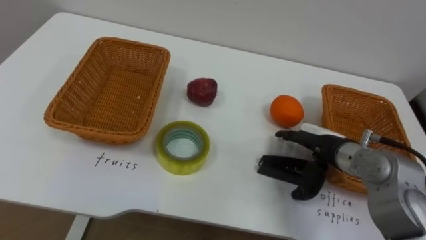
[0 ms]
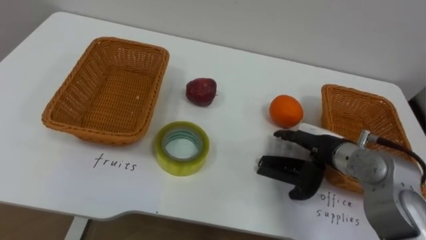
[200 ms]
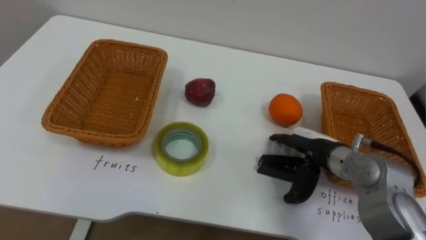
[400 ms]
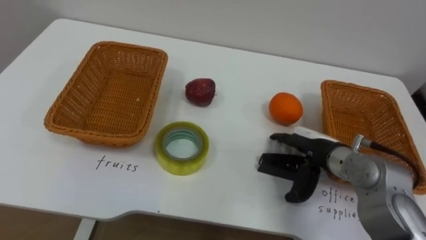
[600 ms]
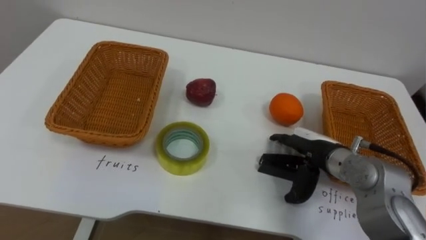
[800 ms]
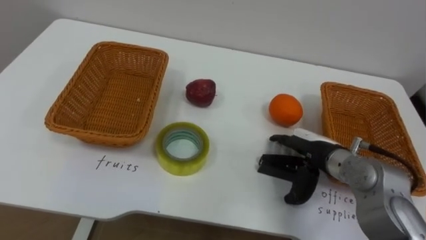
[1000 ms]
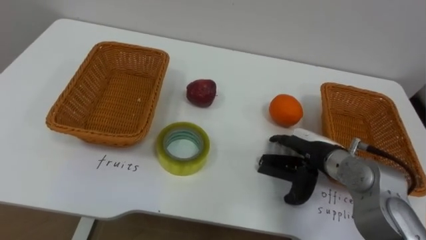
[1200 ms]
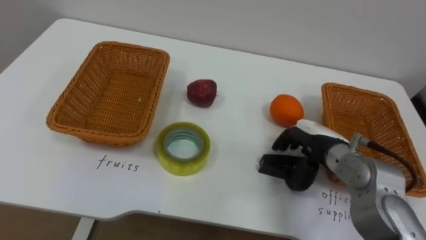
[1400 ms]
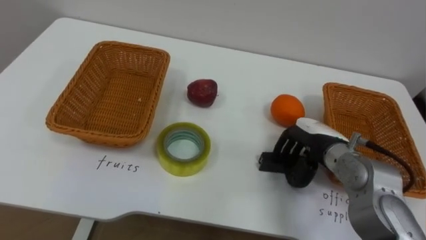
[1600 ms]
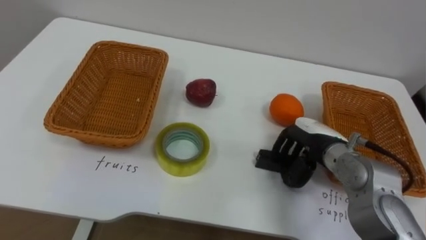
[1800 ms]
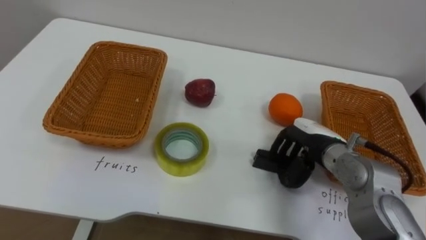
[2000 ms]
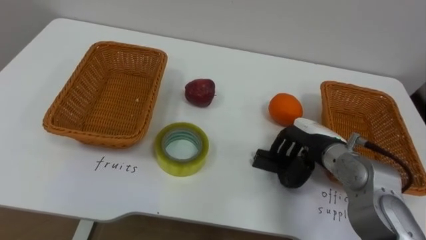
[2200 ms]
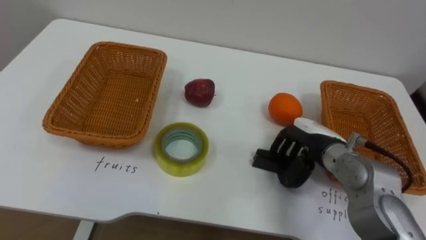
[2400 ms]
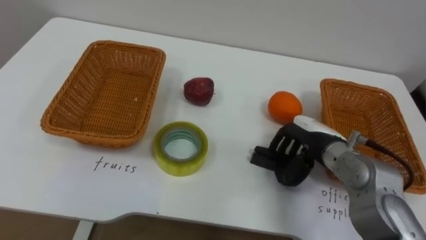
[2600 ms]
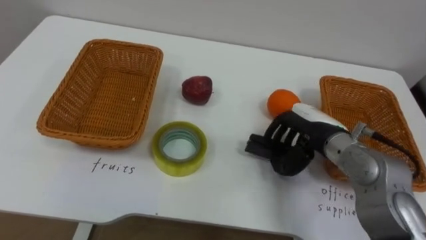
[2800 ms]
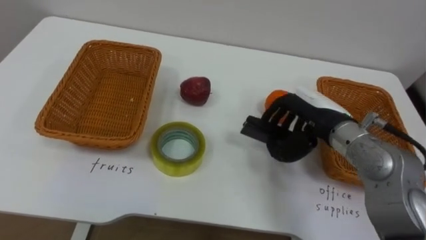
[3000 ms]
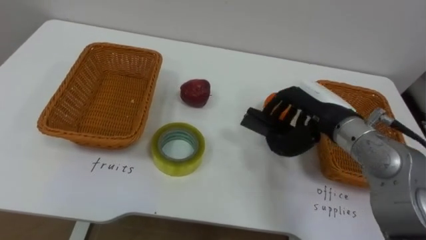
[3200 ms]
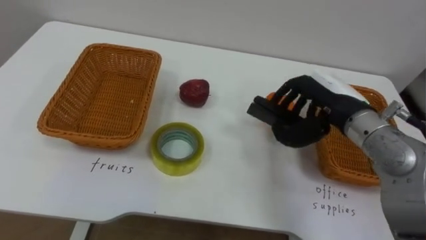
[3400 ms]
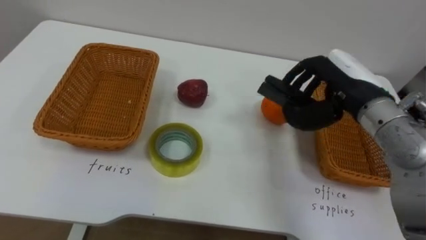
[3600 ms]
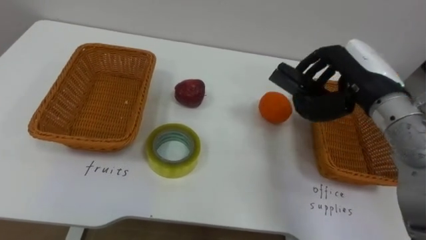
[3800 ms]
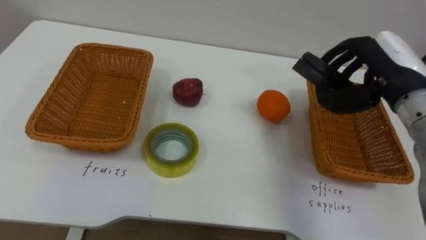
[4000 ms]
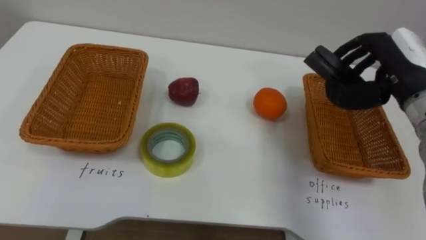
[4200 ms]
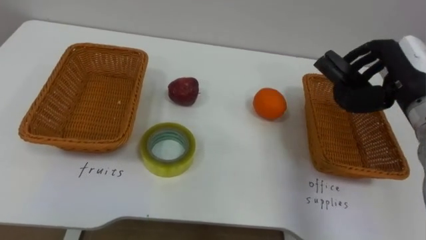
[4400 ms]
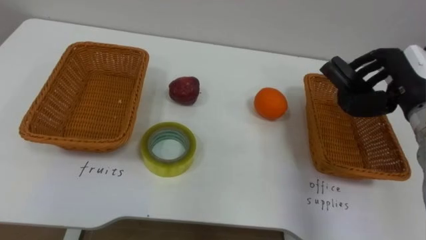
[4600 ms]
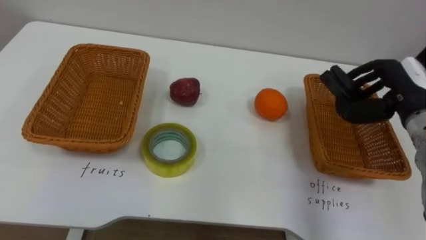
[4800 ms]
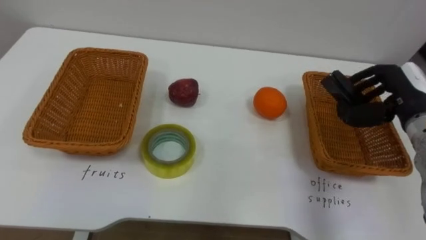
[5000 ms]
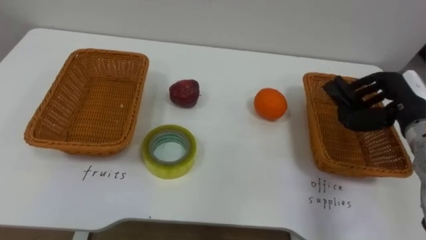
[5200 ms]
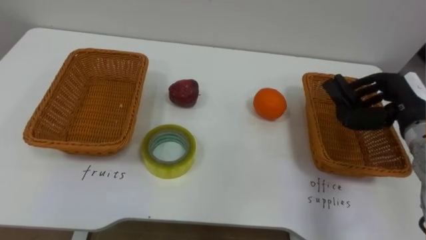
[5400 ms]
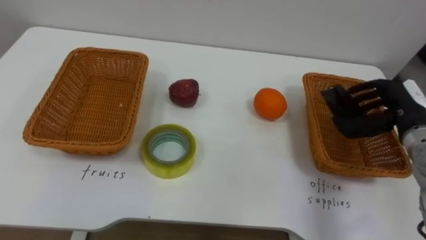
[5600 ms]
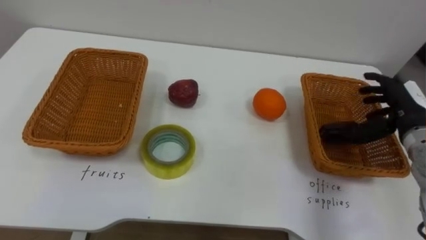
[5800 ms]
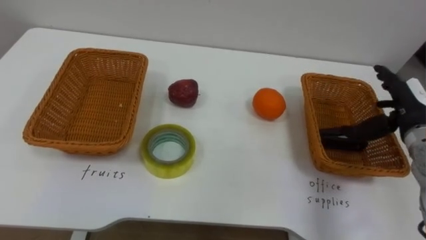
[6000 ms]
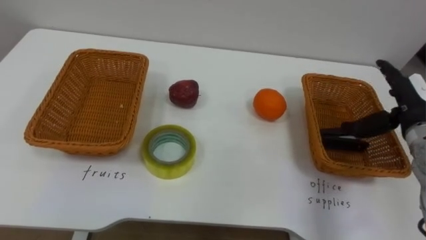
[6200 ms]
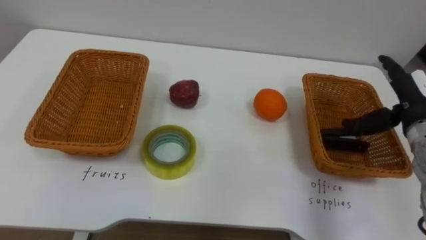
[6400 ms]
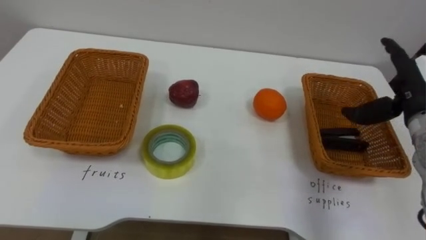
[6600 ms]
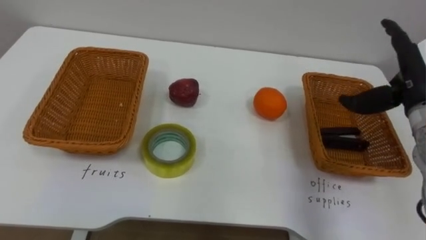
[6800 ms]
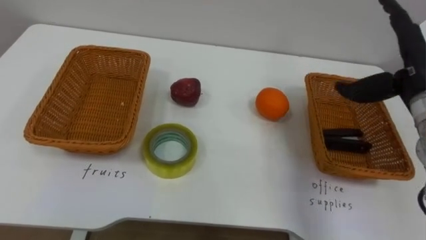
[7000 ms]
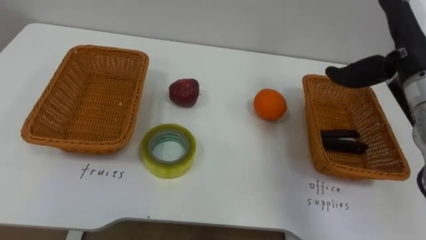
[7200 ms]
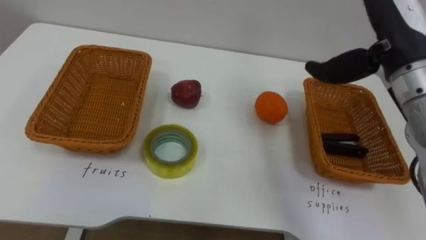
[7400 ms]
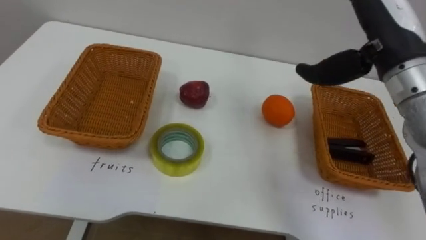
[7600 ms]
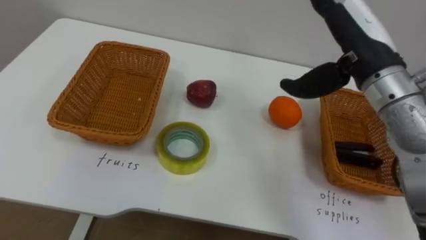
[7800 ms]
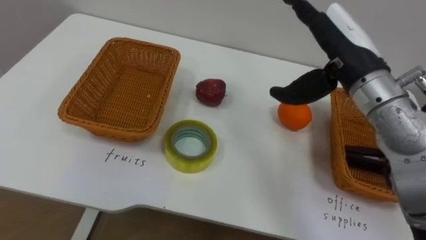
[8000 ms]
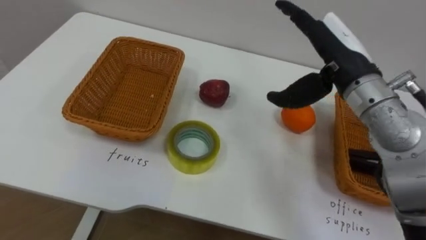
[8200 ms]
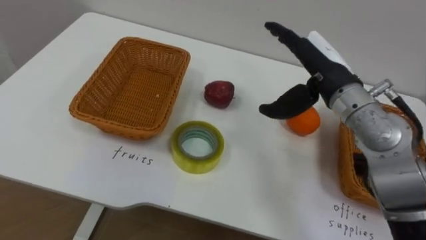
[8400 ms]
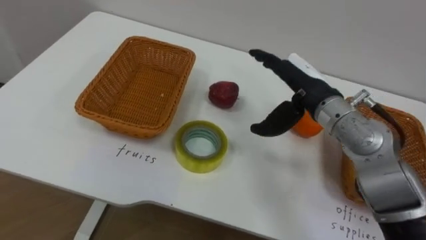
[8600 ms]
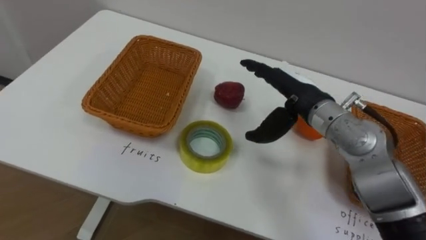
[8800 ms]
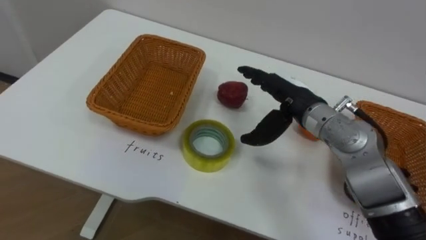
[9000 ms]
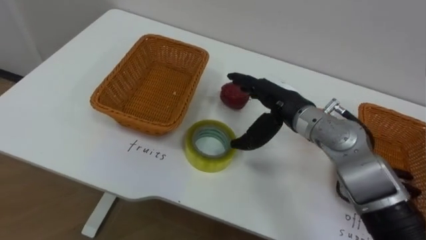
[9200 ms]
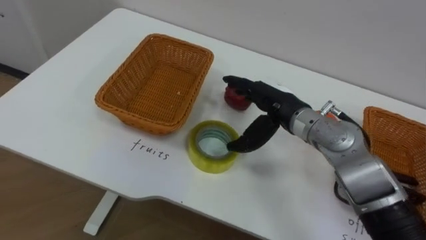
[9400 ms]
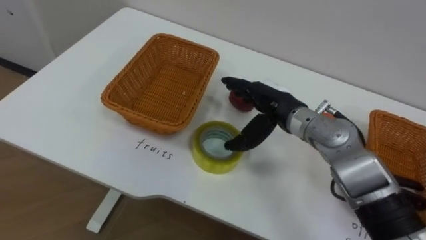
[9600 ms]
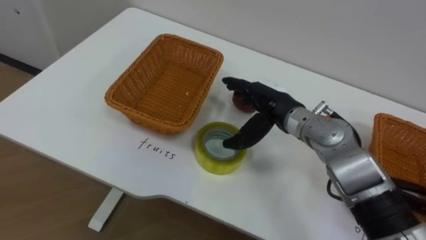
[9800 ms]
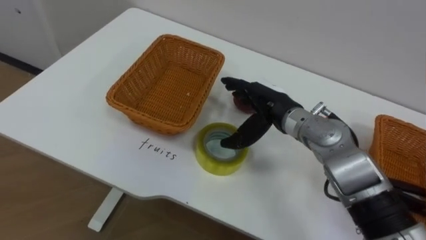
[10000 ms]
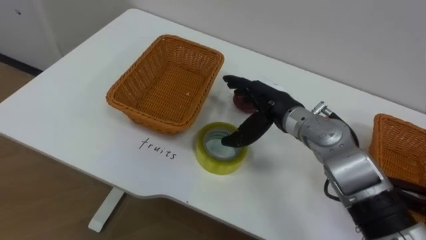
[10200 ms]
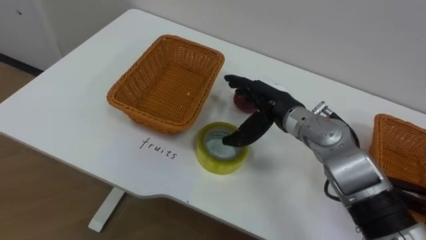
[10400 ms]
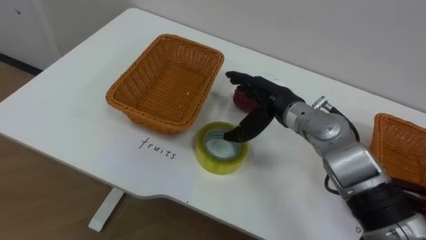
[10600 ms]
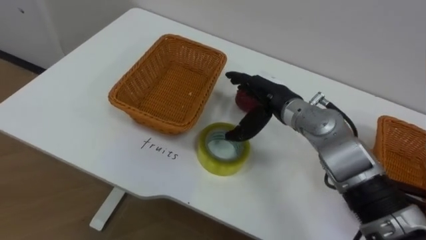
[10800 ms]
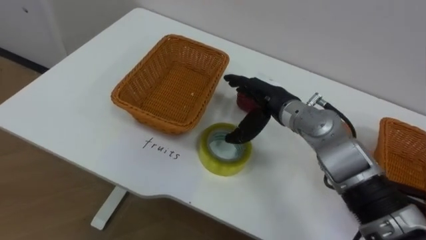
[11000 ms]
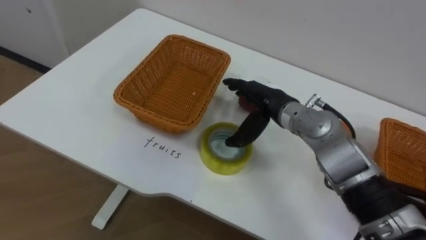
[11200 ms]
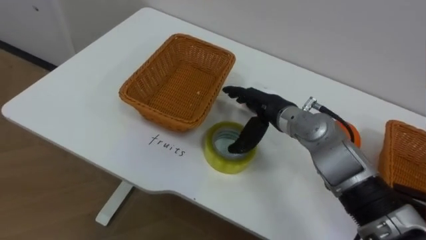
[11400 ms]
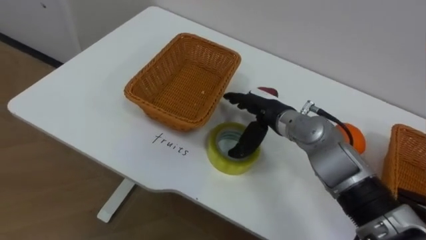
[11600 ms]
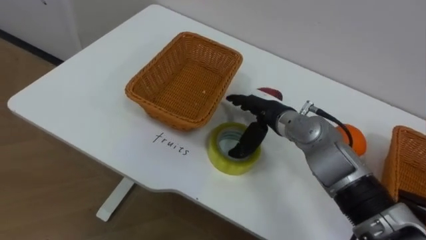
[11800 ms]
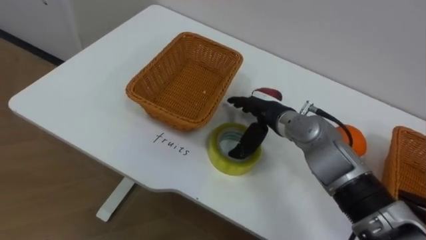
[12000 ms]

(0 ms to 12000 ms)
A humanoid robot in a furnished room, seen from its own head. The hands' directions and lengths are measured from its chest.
Task of the whole recording: Separate the items on the table and place them into the two baskets.
0 ms - 1600 ms: The right hand closes its fingers.
1600 ms - 3000 ms: The right hand heads upward, covering some 5 cm.
3000 ms - 4400 ms: The right hand is displaced to the right and upward by some 15 cm.
4400 ms - 6000 ms: The right hand shifts approximately 10 cm downward, and opens up.
6000 ms - 7600 ms: The right hand travels upward and to the left by approximately 20 cm.
7600 ms - 9000 ms: The right hand shifts roughly 15 cm downward and to the left.

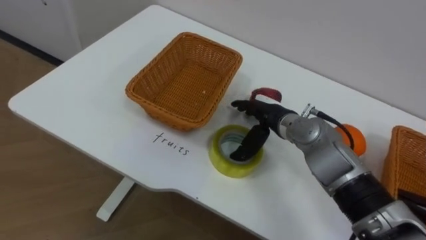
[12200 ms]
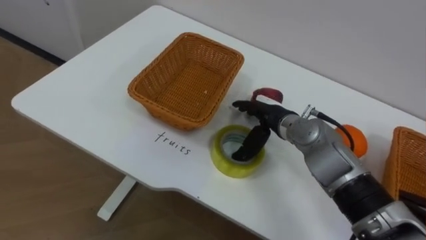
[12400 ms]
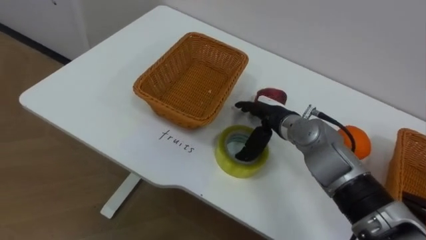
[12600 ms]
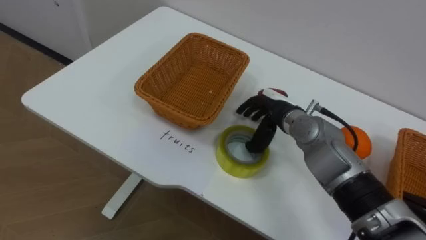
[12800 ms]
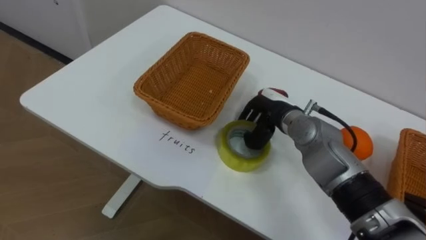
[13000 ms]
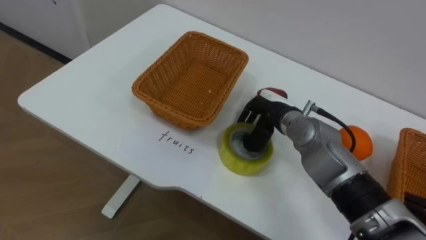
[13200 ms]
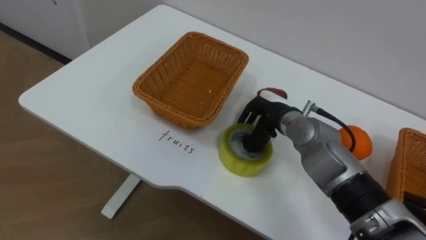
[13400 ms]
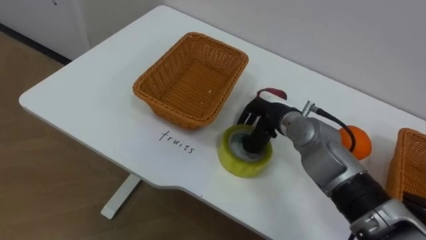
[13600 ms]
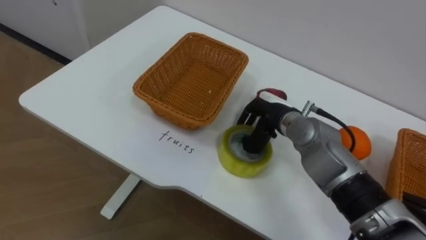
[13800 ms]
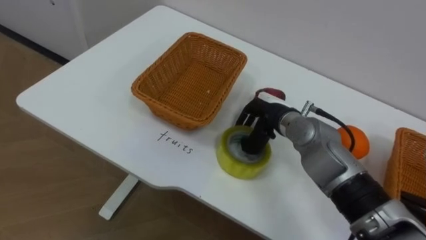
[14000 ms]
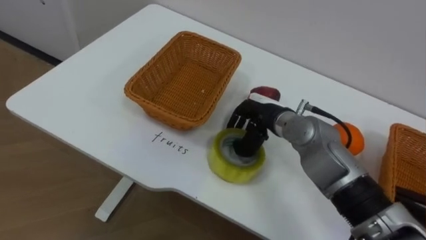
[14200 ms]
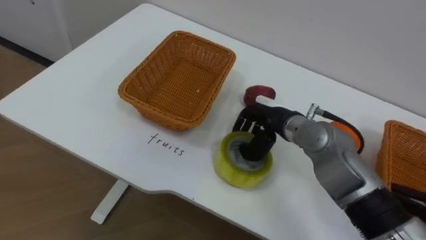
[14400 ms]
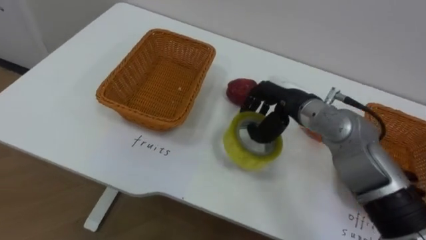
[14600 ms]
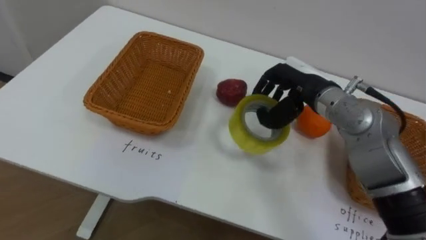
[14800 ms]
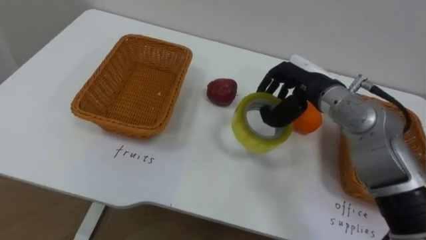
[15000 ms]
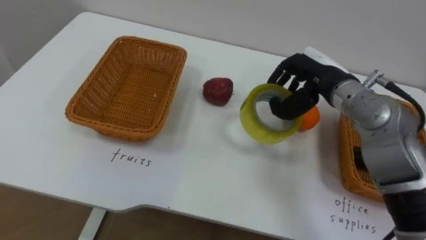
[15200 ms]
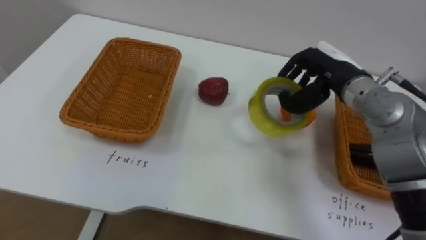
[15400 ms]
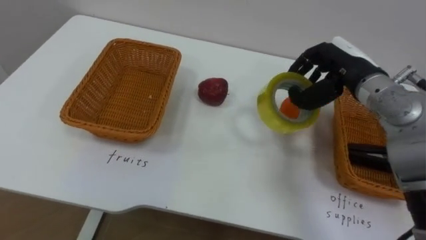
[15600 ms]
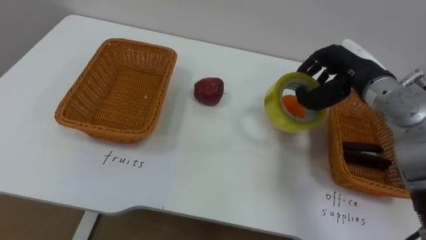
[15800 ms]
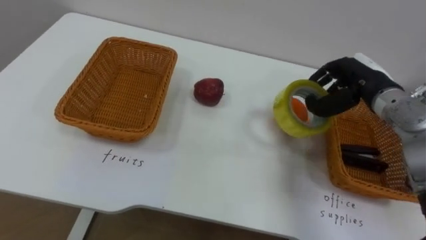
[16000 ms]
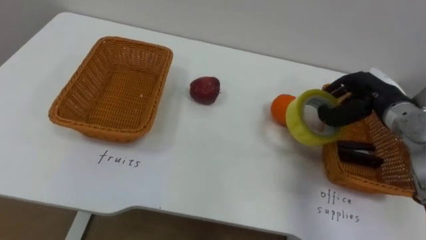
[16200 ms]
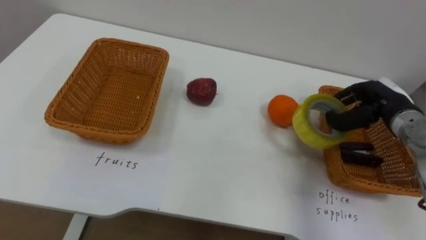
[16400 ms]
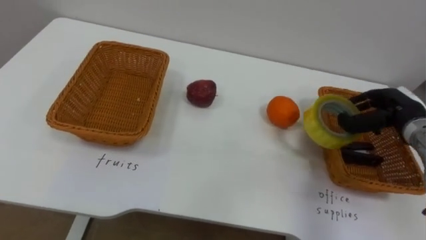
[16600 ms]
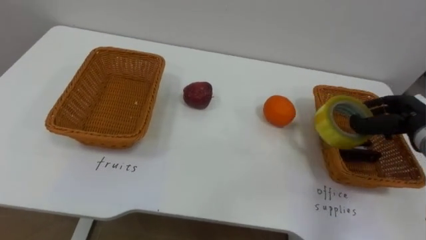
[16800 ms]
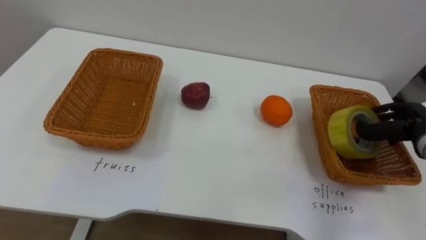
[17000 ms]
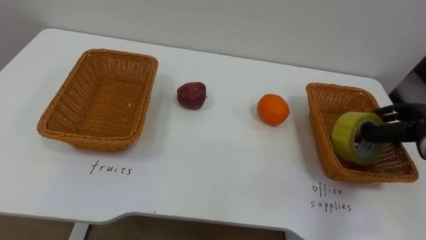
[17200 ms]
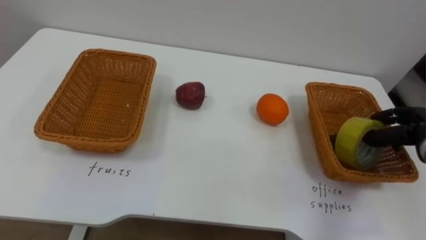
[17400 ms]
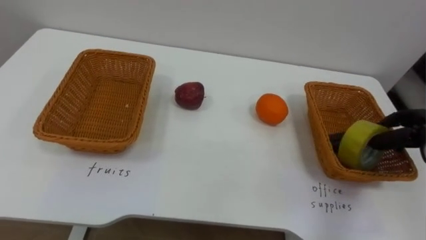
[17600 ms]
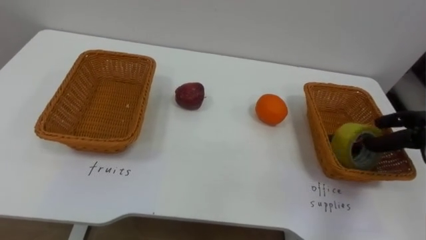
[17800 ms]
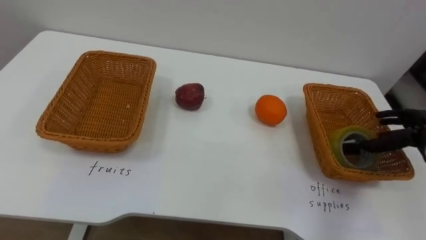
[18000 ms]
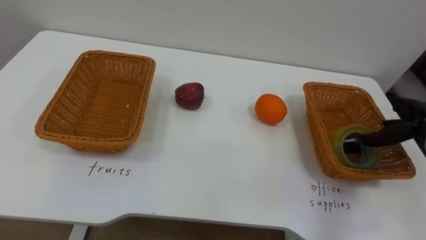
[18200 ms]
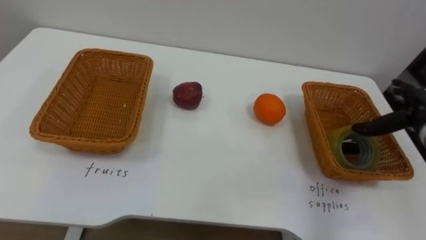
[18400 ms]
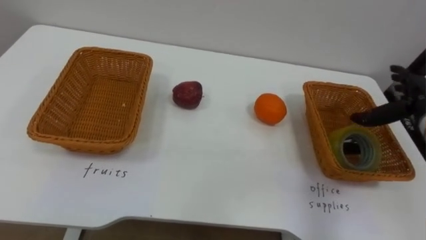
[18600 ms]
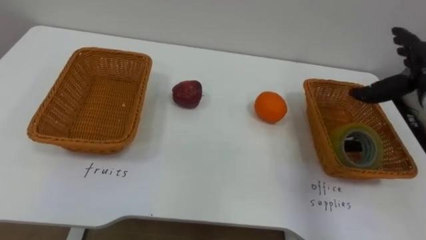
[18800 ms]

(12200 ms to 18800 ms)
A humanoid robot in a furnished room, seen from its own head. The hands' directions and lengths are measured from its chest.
Task of the whole recording: Separate the items on the table and place them into the two baskets.
12200 ms - 13800 ms: The right hand closes its fingers.
13800 ms - 15400 ms: The right hand goes roughly 15 cm upward and to the right.
15400 ms - 17200 ms: The right hand is displaced to the right and downward by about 20 cm.
17200 ms - 18800 ms: The right hand travels upward by some 10 cm, and opens.
